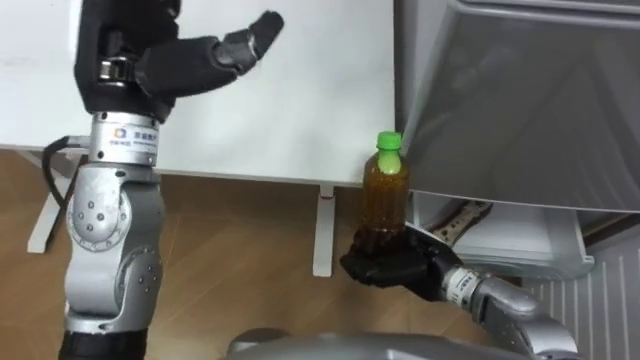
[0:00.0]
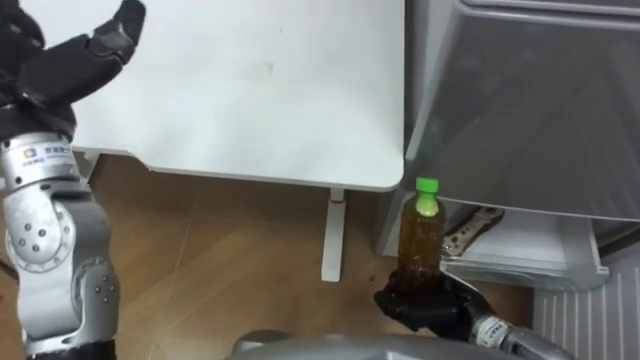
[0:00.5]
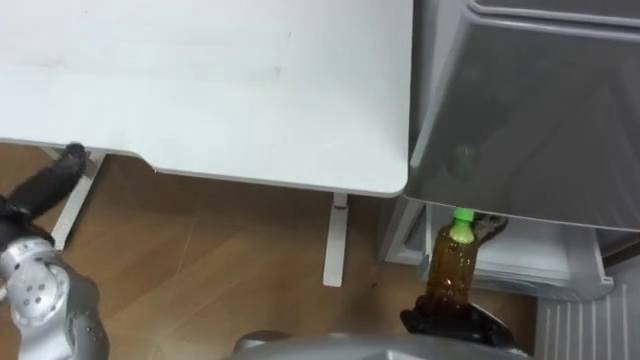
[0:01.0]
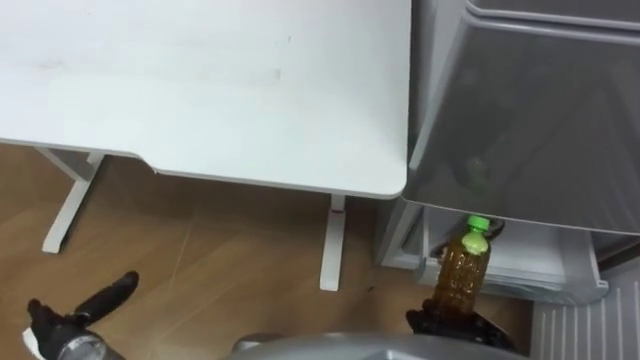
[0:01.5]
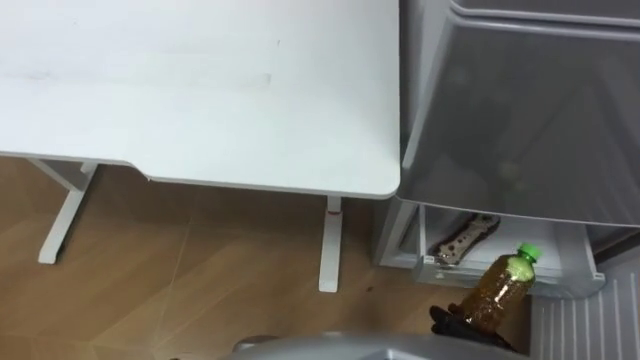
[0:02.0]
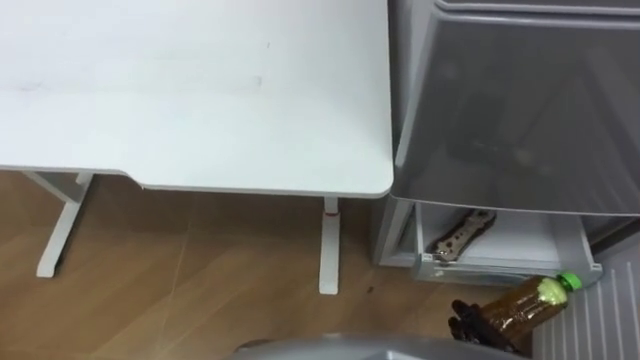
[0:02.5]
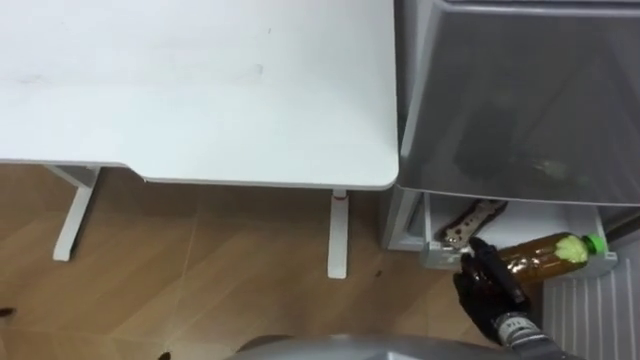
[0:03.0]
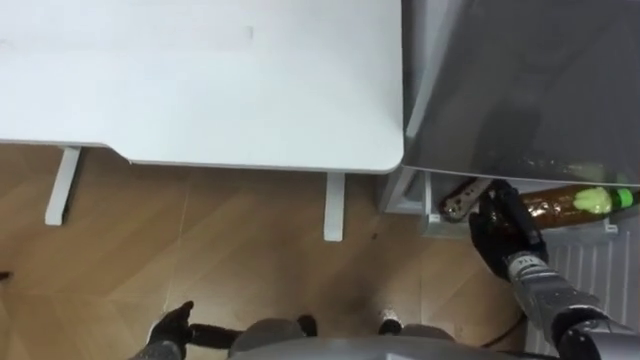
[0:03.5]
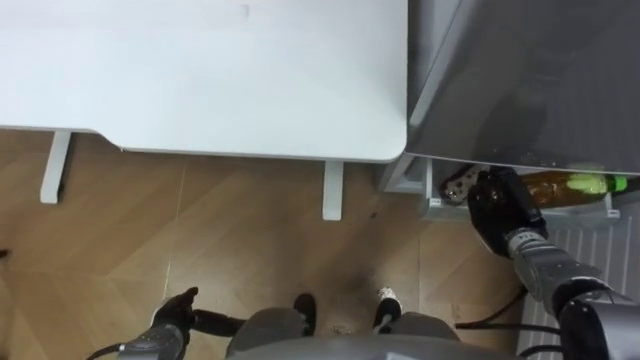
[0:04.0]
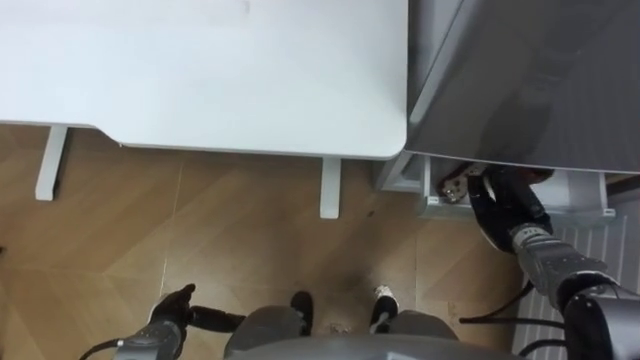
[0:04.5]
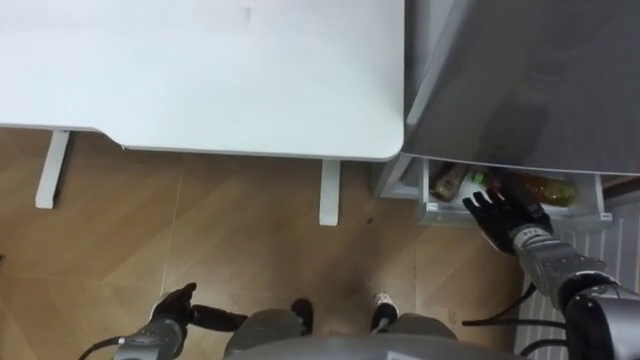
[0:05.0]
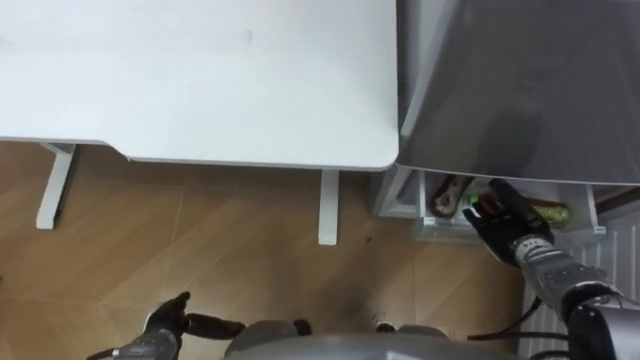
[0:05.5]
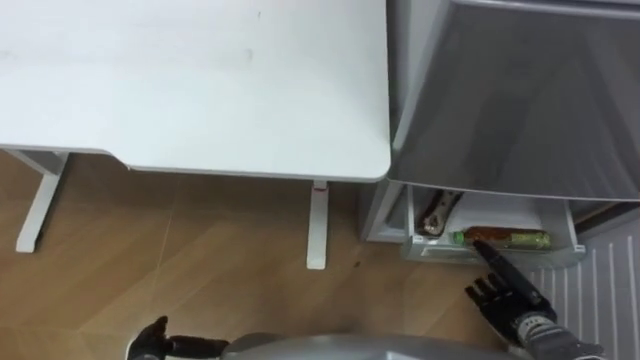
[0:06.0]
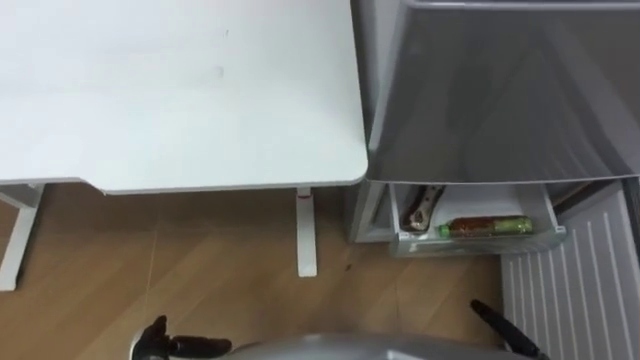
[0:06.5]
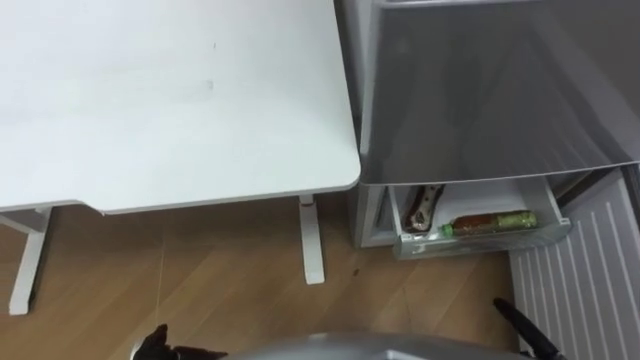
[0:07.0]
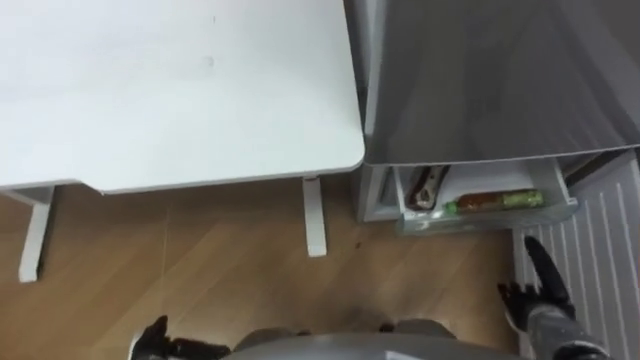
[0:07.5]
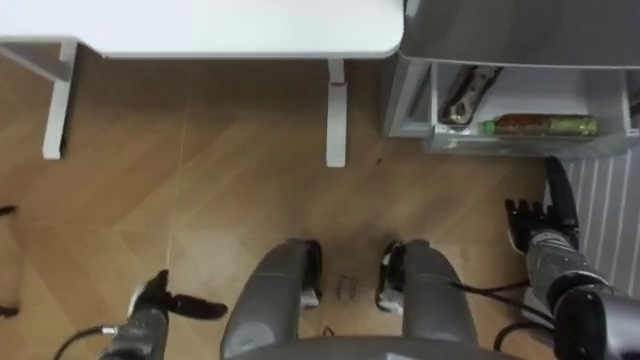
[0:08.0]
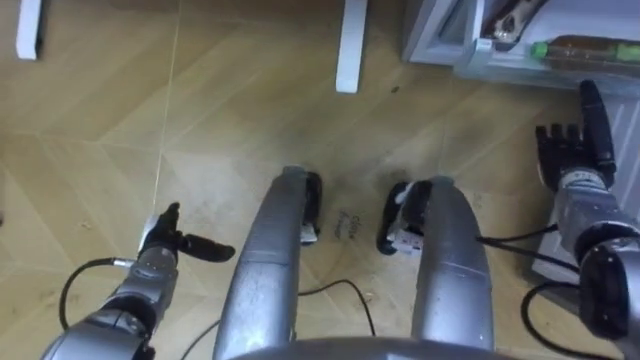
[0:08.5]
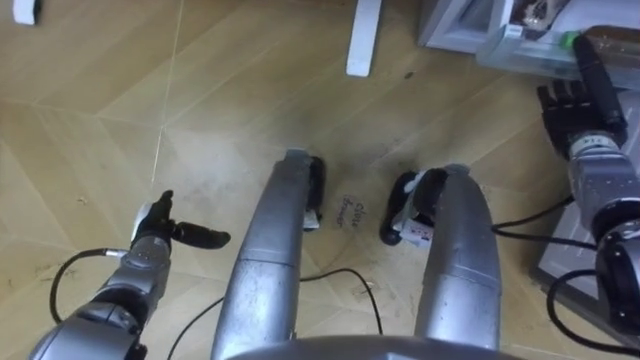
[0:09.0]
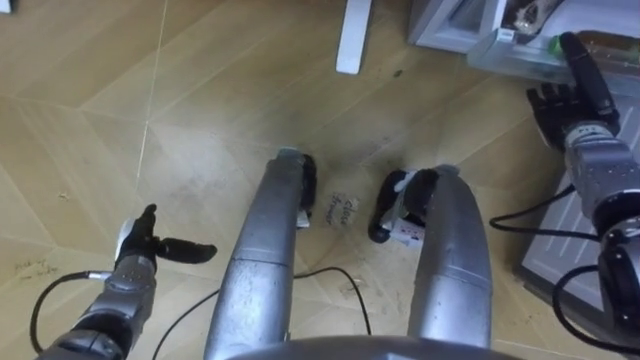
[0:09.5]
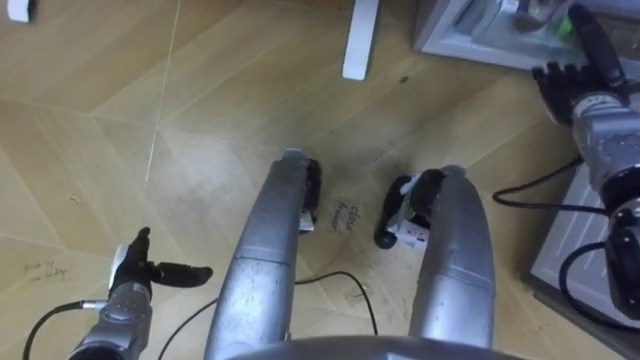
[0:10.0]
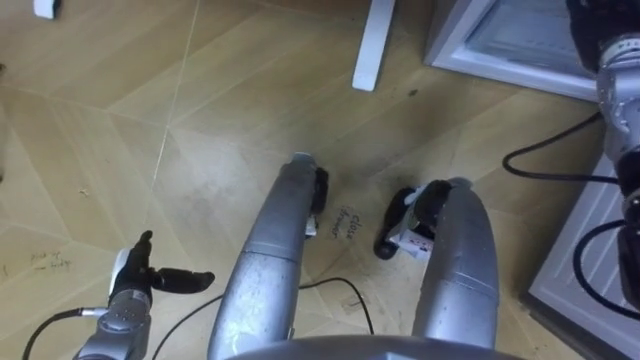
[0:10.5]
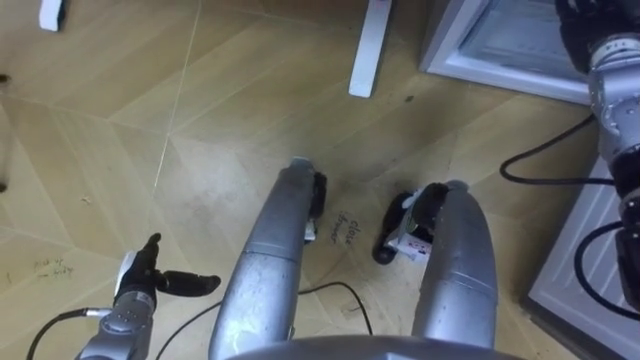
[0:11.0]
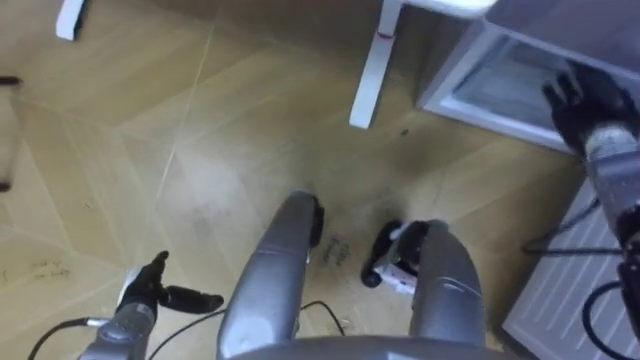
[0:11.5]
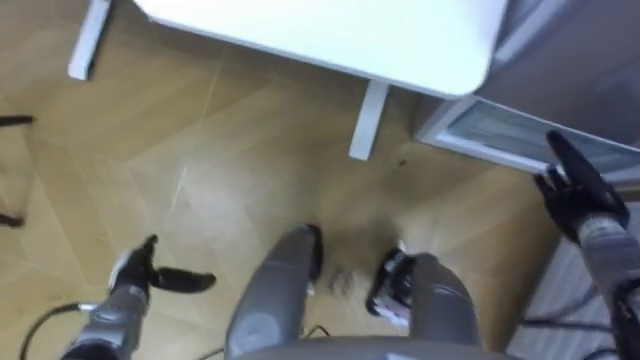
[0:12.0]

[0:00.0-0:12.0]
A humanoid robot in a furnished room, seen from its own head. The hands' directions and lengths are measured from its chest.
Task of the whole recording: Place the drink on the table on the bottom shelf of the refrigerator, then close the drawer and the refrigerator door.
0:00.0 to 0:02.0: The right hand shifts about 20 cm backward, to the right and downward.
0:04.0 to 0:06.0: The right hand moves backward, about 10 cm, and opens its fingers.
0:08.0 to 0:10.0: The right hand moves forward and upward, approximately 20 cm.
0:10.0 to 0:12.0: The right hand heads backward and downward, covering approximately 15 cm.

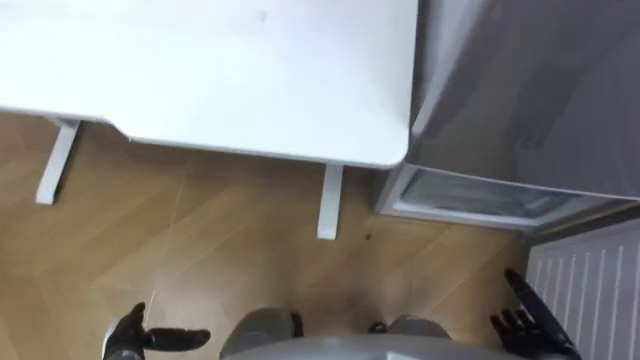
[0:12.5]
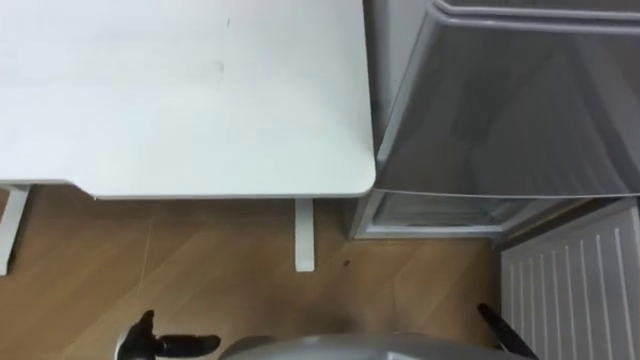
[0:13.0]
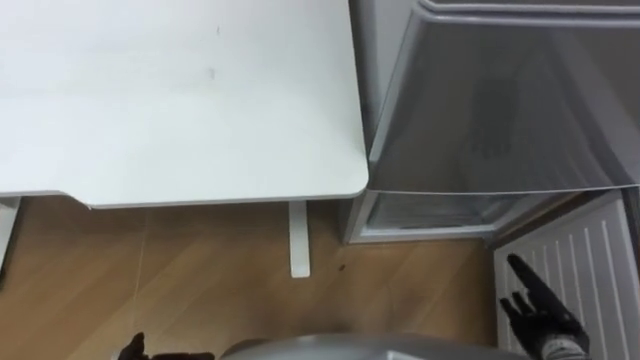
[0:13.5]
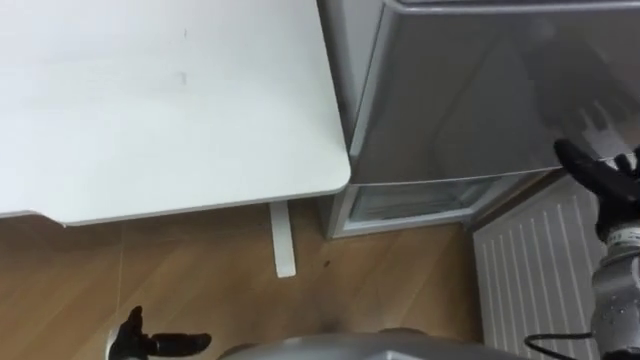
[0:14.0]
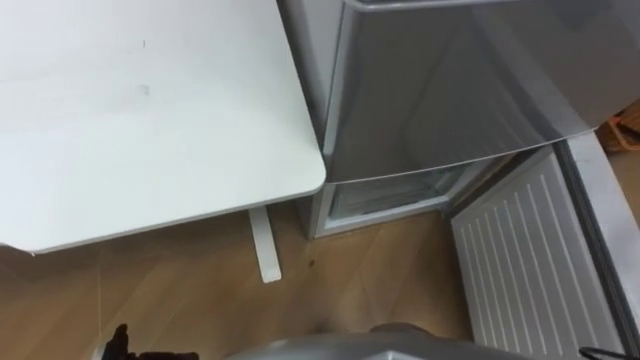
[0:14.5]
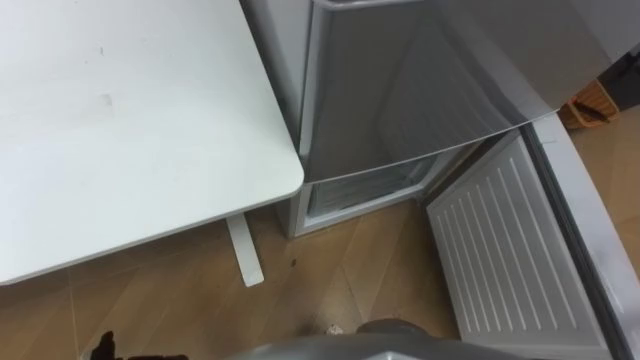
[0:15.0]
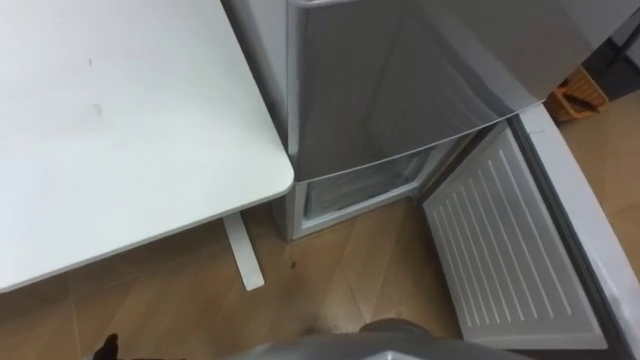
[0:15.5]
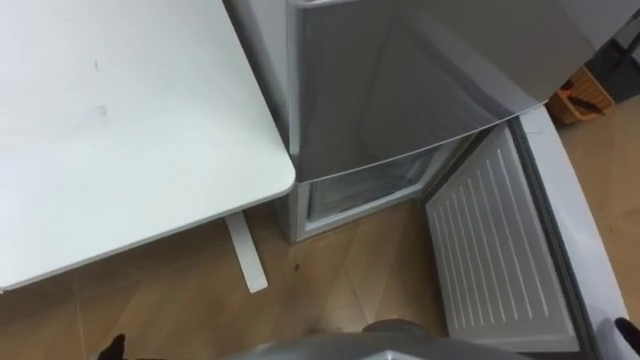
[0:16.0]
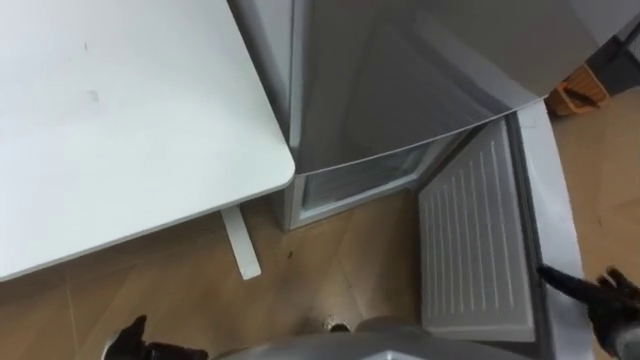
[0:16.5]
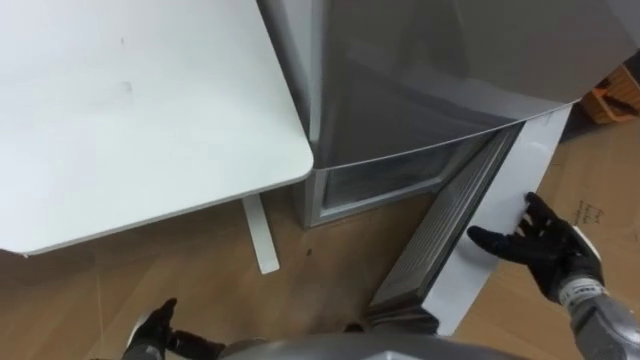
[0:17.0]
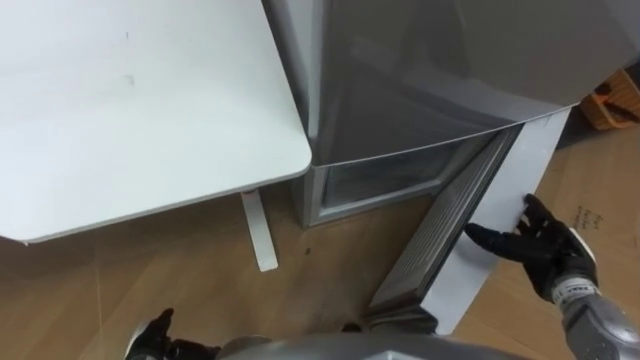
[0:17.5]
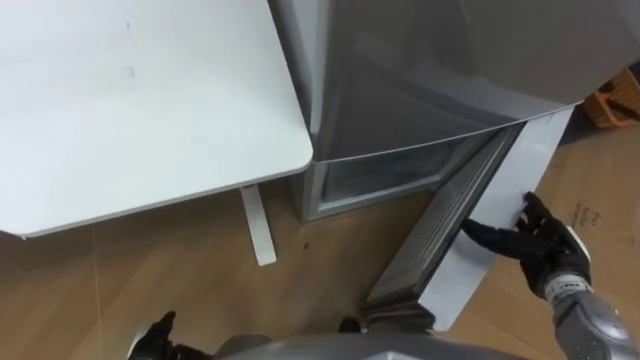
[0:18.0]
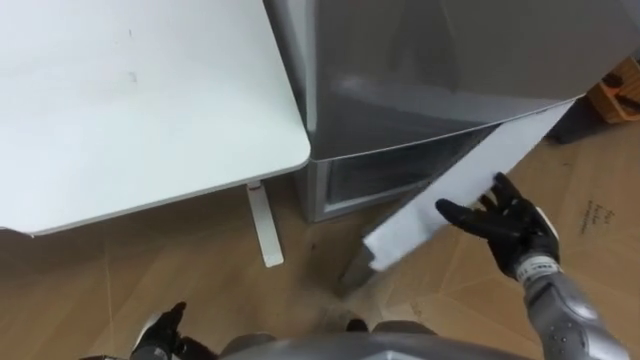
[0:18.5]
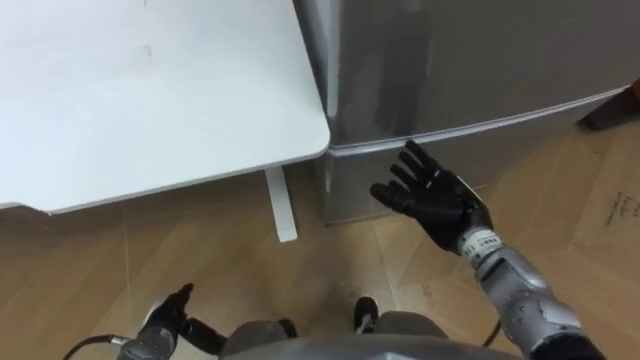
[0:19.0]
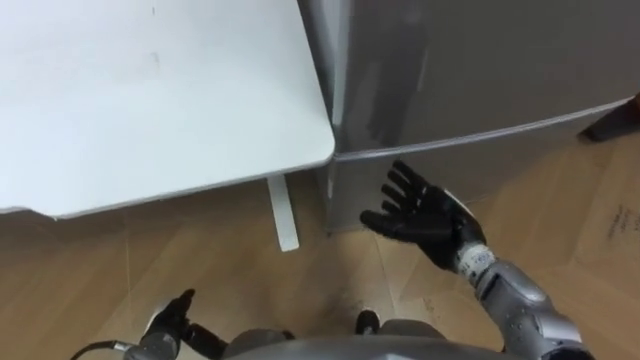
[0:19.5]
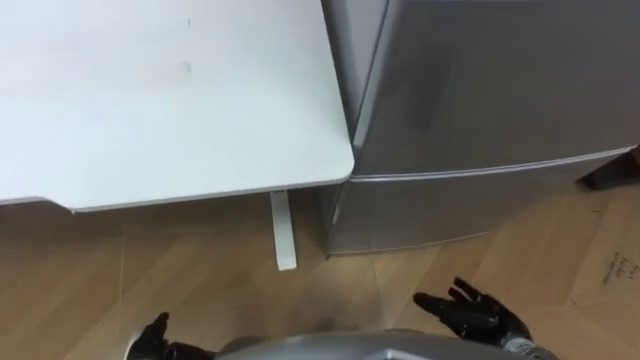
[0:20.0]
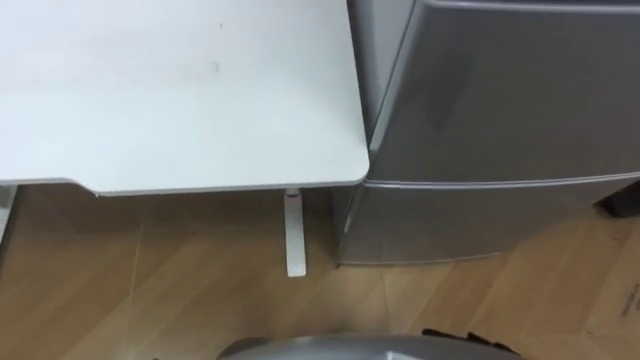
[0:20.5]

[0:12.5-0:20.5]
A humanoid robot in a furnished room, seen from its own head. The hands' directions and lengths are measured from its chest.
Task of the whole recording: Place the drink on the table on the bottom shelf of the refrigerator, then close the drawer and the refrigerator door.
0:16.5 to 0:18.5: The right hand is displaced to the left and forward by approximately 20 cm.
